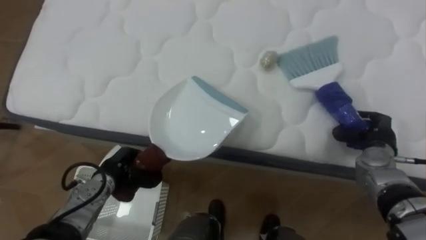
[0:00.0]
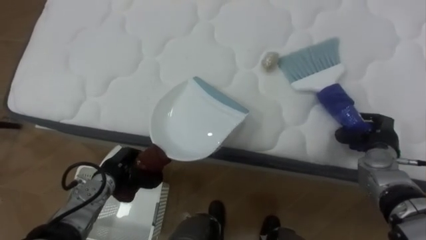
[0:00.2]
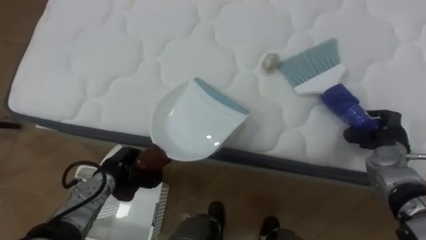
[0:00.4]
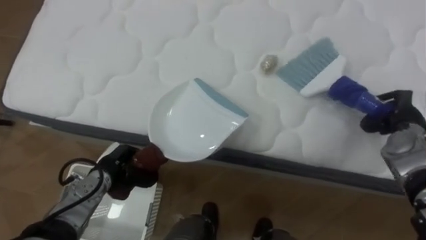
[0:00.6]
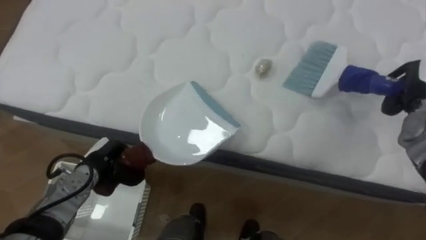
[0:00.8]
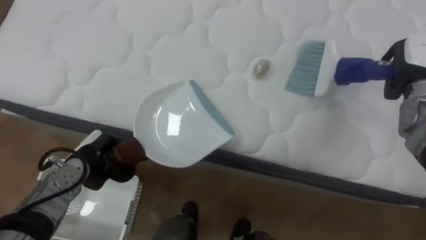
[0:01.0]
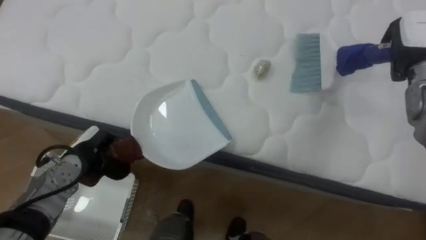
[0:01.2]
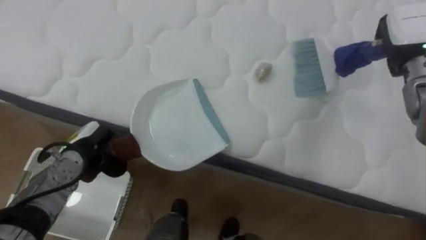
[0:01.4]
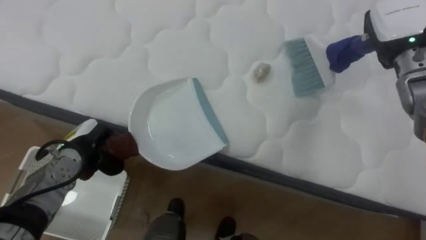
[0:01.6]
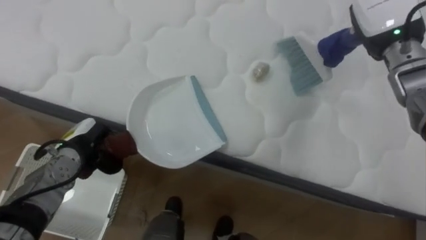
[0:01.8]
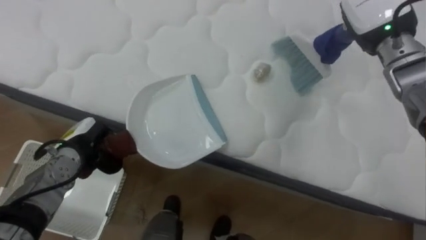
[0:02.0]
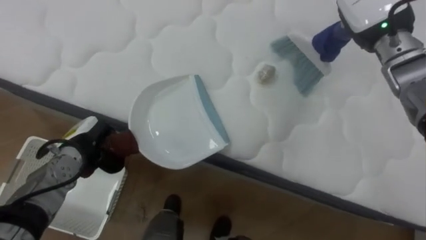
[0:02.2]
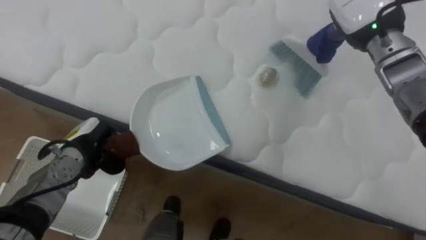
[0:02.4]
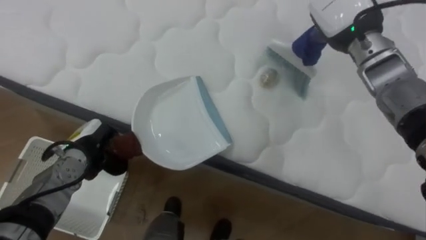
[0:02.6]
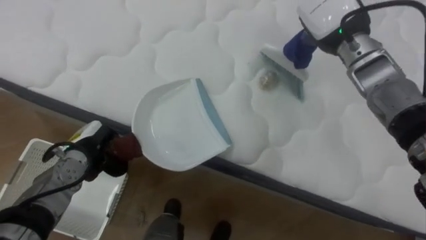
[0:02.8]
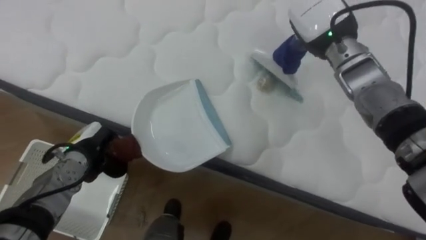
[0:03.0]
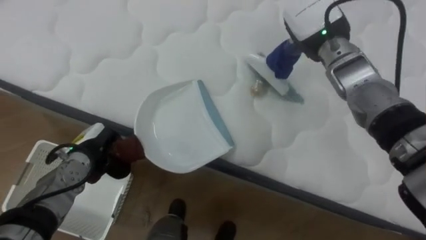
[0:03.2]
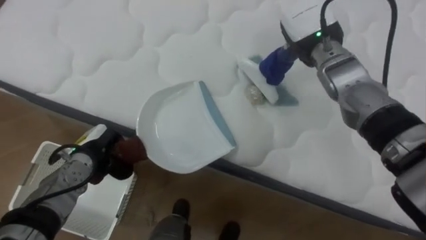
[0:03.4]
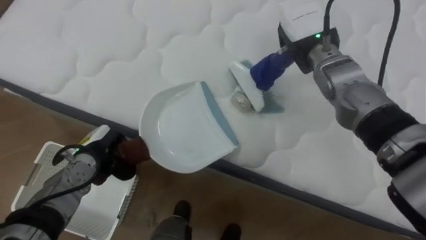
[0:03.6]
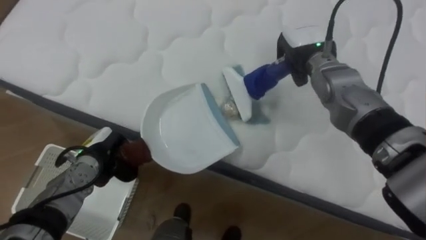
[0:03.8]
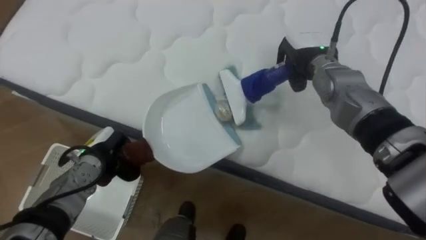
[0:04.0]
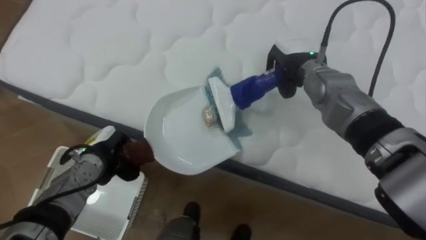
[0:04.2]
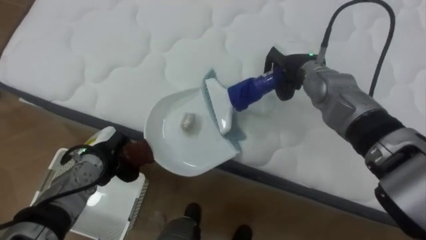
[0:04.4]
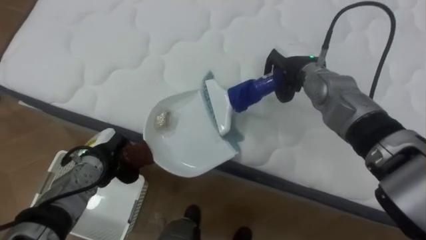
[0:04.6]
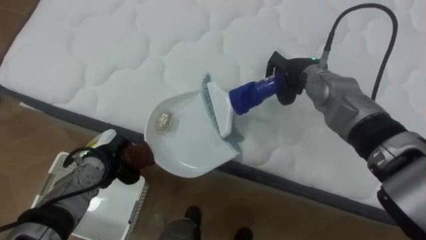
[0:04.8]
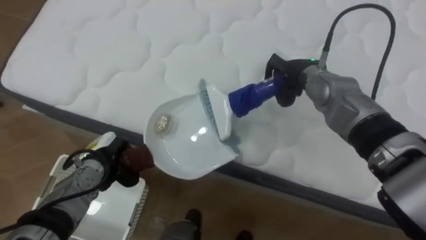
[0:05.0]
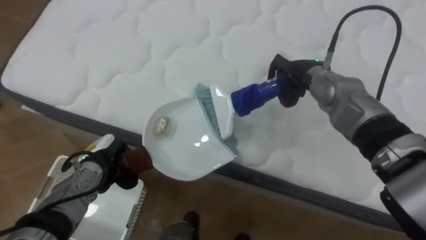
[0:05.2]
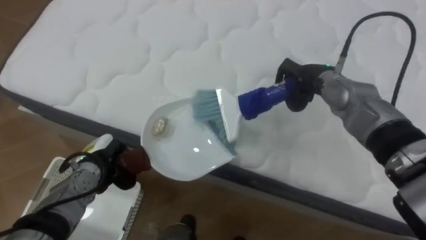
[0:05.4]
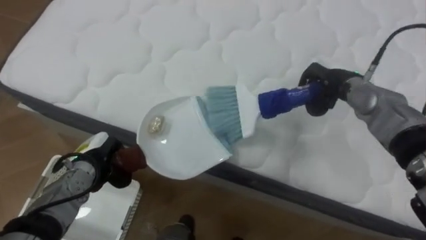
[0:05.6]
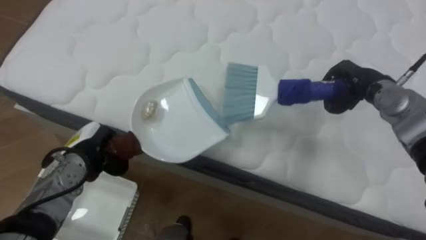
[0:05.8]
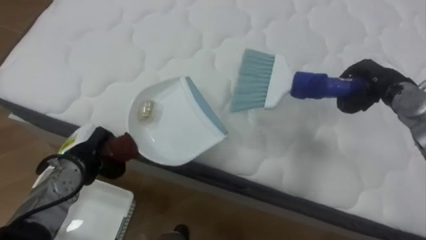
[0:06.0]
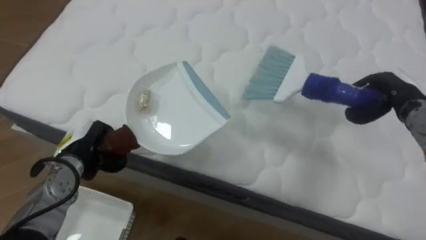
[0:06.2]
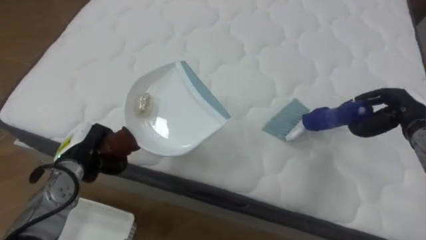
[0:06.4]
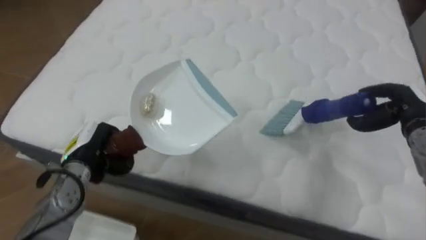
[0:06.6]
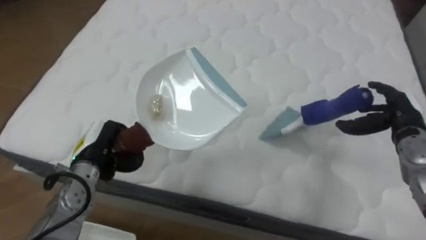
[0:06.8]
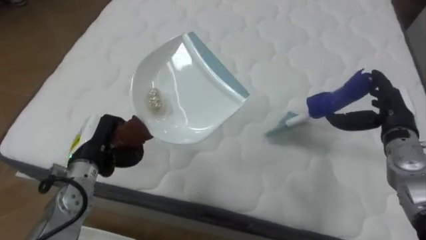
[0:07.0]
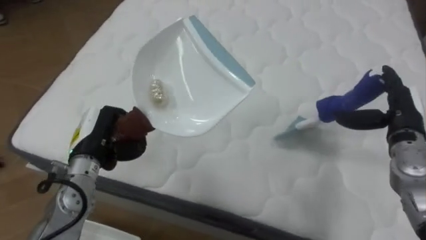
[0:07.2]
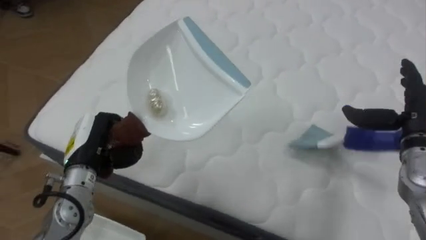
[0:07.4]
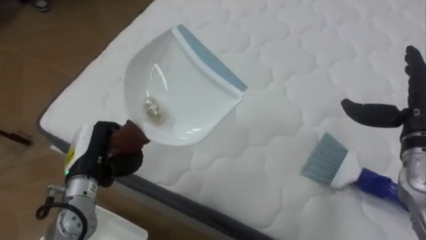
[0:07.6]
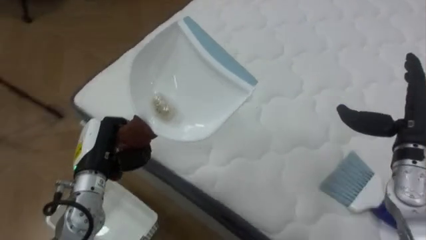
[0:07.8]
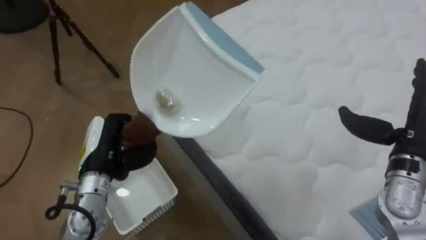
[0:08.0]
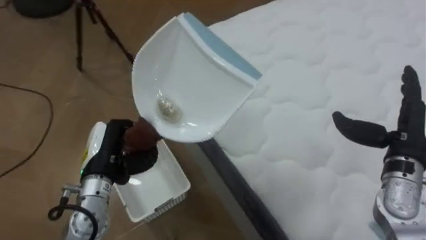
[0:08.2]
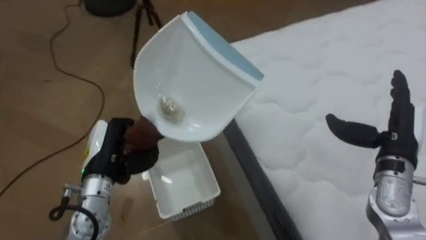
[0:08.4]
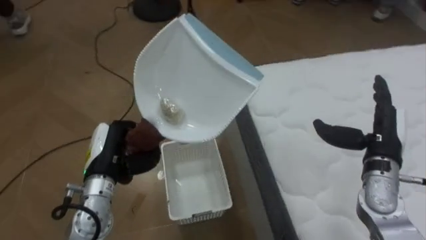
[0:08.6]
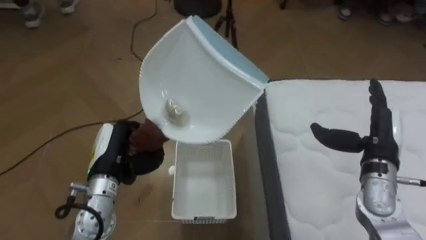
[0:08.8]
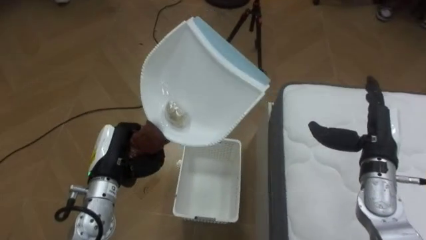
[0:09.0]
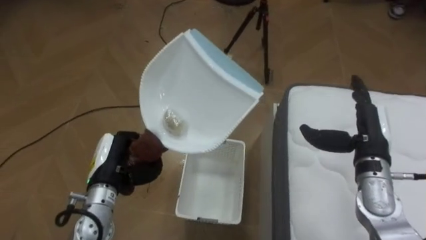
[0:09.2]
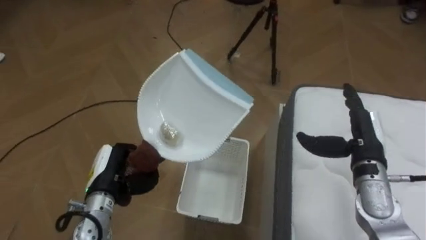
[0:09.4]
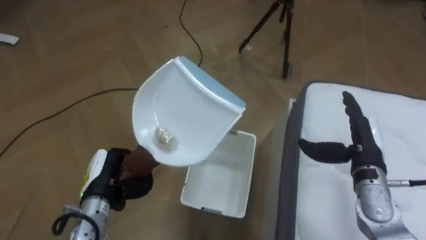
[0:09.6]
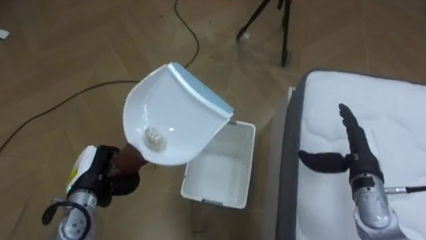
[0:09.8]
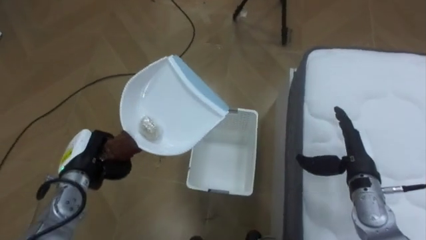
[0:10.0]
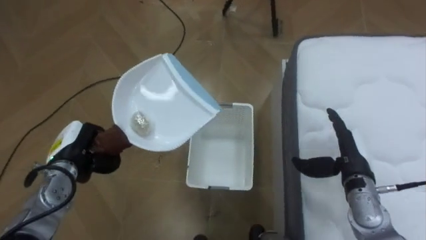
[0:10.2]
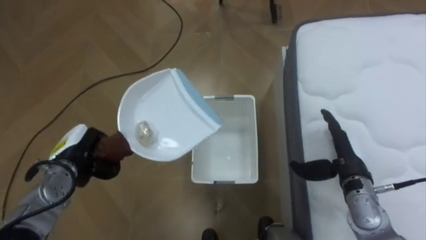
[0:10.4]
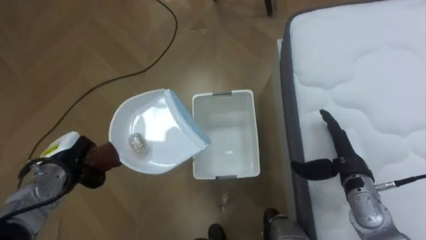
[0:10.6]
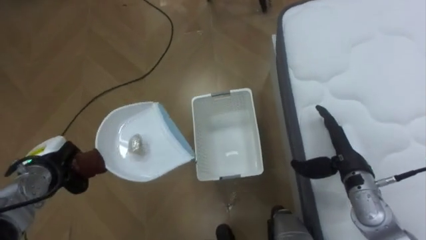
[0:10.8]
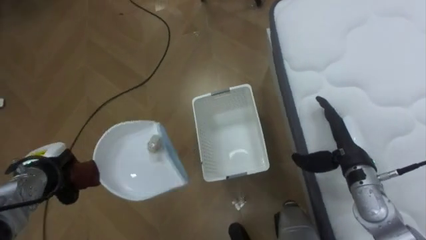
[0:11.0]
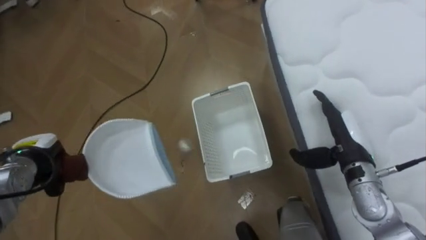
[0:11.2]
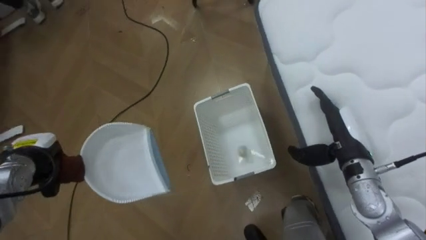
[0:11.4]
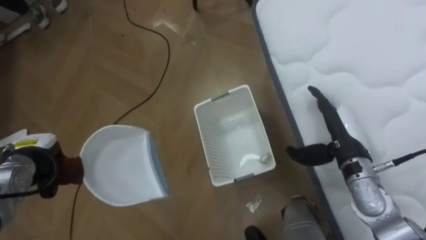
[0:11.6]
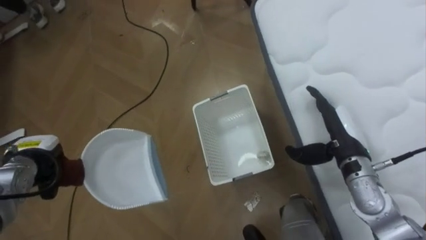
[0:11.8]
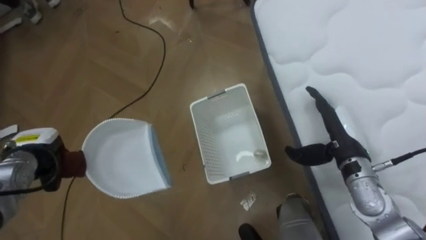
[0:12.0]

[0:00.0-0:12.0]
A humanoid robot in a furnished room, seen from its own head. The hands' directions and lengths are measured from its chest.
Task of the whole recording: Pick up the brush on your right and the dustpan on your left. Use the brush to sweep the crumpled paper on the bed into the dustpan, then turn left and empty it into the basket.
0:00.0 to 0:01.6: The left hand goes roughly 10 cm to the left and upward. The right hand shifts approximately 20 cm upward and forward.
0:01.6 to 0:03.0: The right hand moves to the left, about 15 cm.
0:03.0 to 0:04.4: The right hand goes some 10 cm downward.
0:04.4 to 0:06.0: The right hand goes about 15 cm to the right.
0:06.0 to 0:07.6: The left hand moves about 5 cm; the right hand is displaced backward by roughly 10 cm, and opens.
0:07.6 to 0:09.0: The robot faces some 75 degrees further to its left. The right hand is displaced to the left and downward by some 5 cm.
0:09.0 to 0:10.4: The left hand is displaced to the left by about 10 cm. The right hand is displaced downward by approximately 5 cm.
0:10.4 to 0:12.0: The left hand heads to the left, covering about 5 cm.

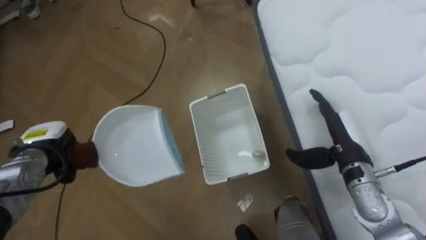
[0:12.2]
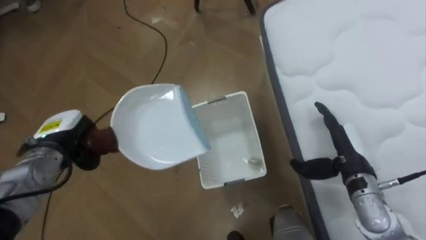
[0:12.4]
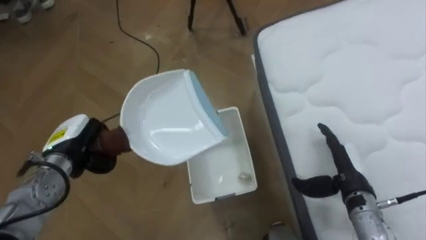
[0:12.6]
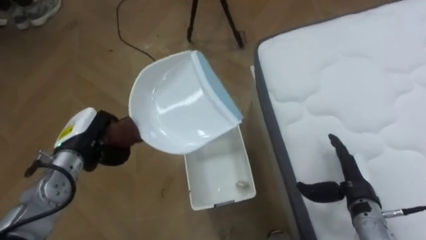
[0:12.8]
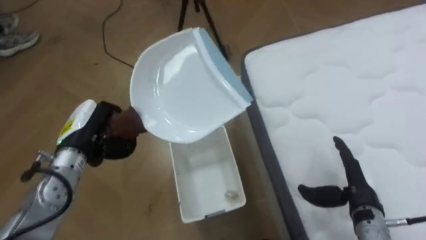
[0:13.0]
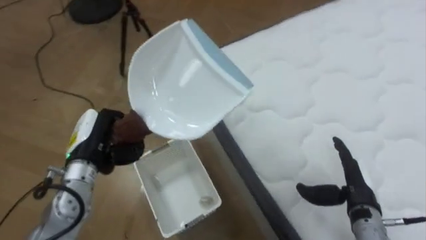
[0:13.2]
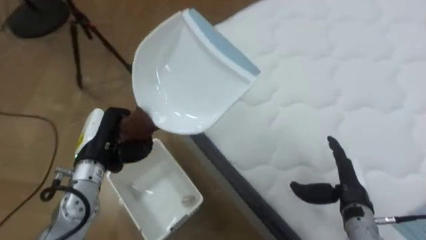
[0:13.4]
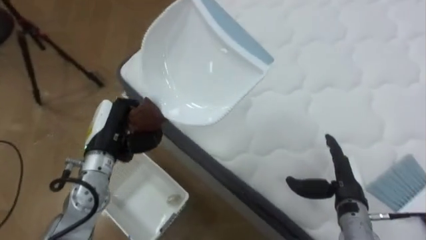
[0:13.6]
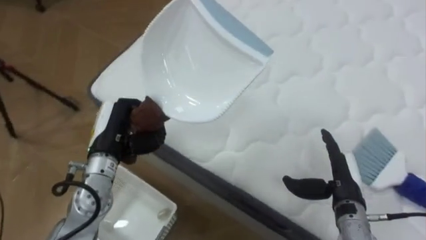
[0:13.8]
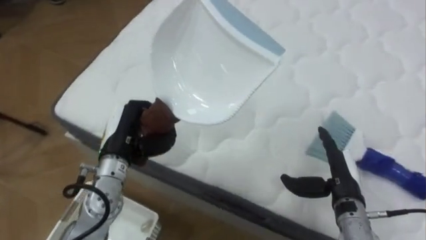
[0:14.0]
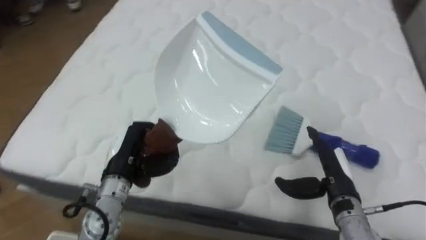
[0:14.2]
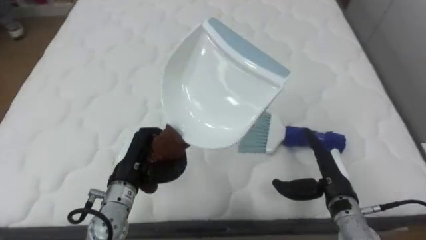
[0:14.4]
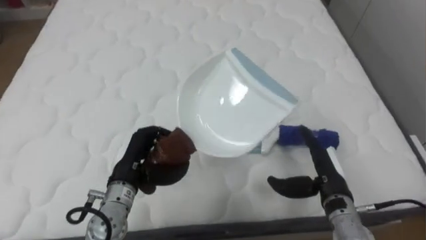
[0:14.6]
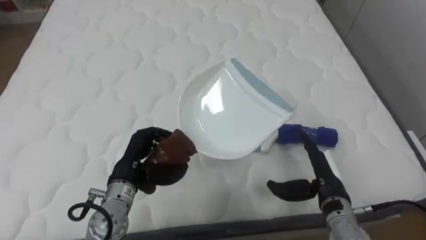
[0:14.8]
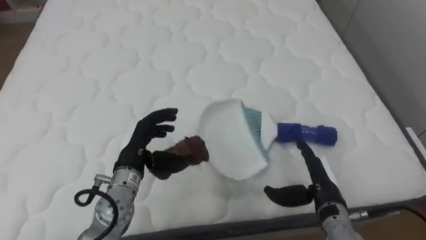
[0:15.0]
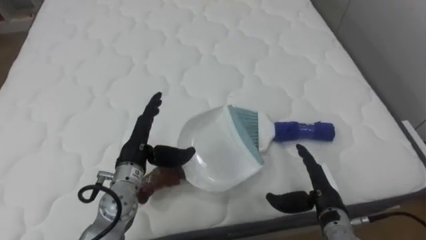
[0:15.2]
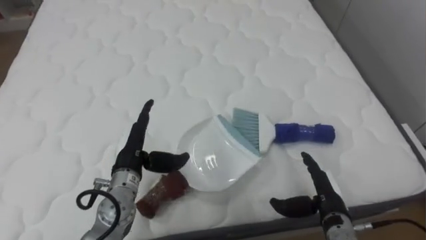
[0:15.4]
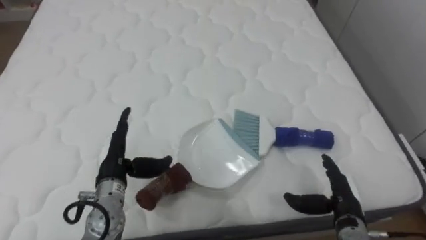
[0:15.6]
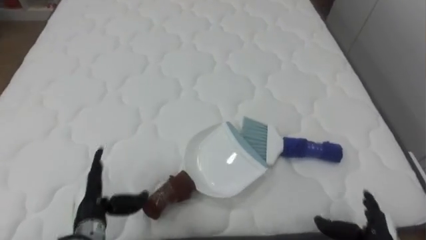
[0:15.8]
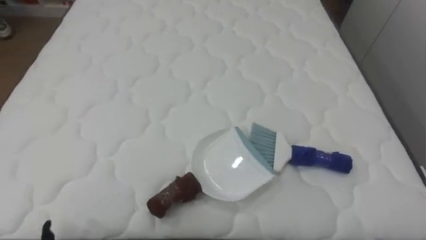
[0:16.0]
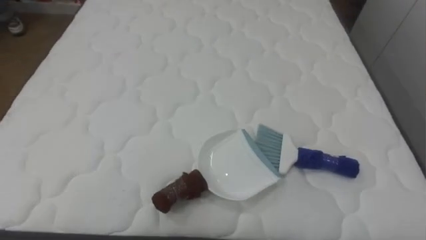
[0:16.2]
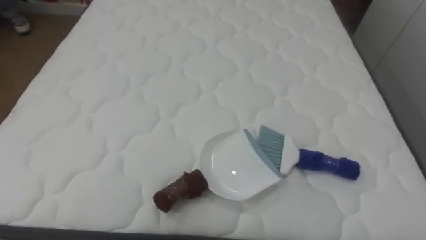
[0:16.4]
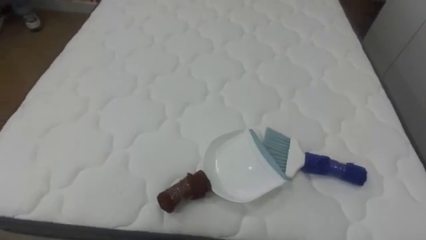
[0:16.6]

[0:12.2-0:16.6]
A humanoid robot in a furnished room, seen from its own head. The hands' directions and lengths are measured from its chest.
Task of the whole recording: Pick up the brush on your right and the dustpan on your left. Use the brush to sweep the crumpled paper on the bed into the dustpan, then turn left and empty it into the basket.
0:12.2 to 0:13.6: The robot faces some 55 degrees further to its right. The left hand travels to the right by some 15 cm; the right hand travels downward and backward by some 10 cm.
0:13.6 to 0:15.2: The robot faces some 45 degrees further to its right. The left hand is displaced to the right by approximately 5 cm, and opens.
